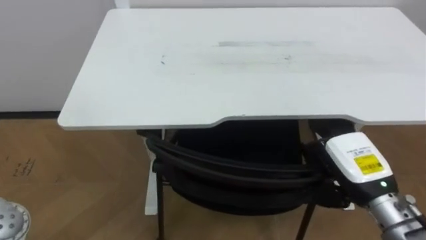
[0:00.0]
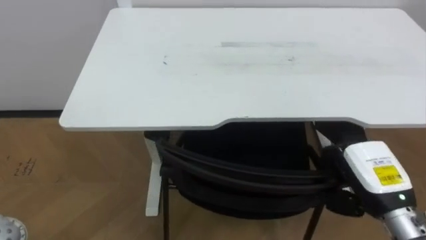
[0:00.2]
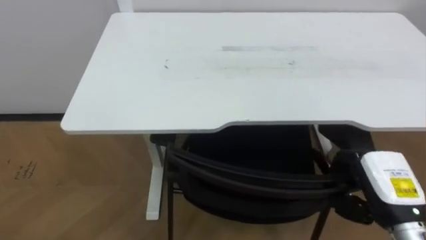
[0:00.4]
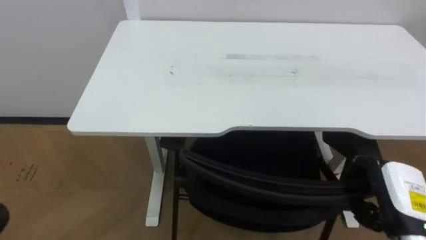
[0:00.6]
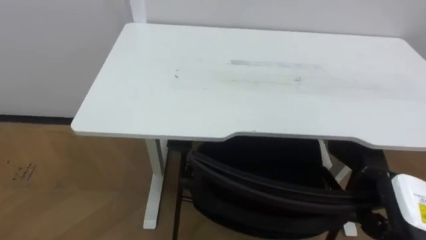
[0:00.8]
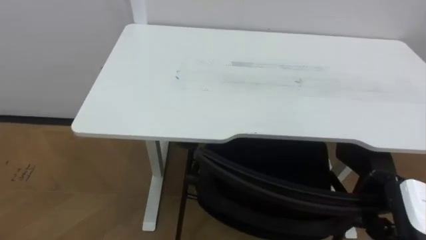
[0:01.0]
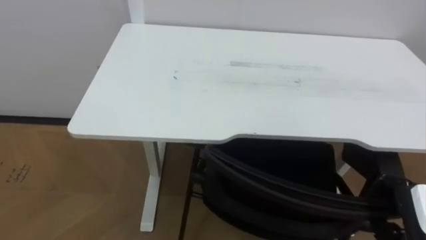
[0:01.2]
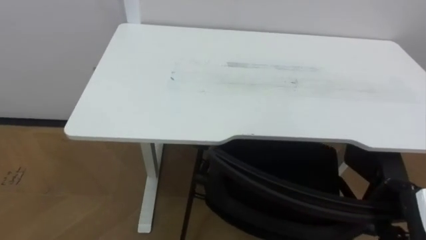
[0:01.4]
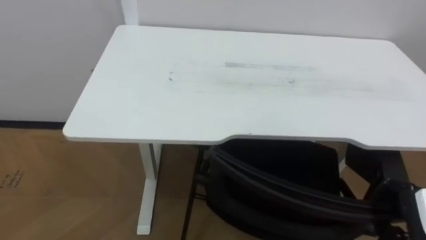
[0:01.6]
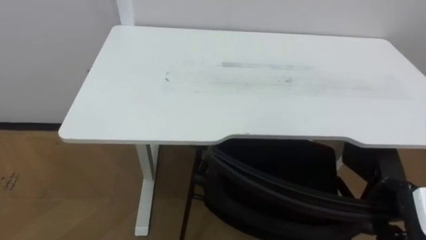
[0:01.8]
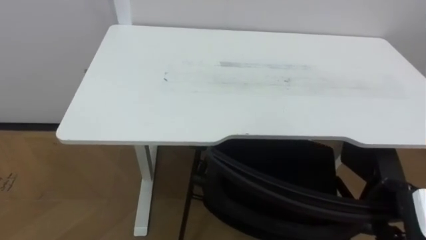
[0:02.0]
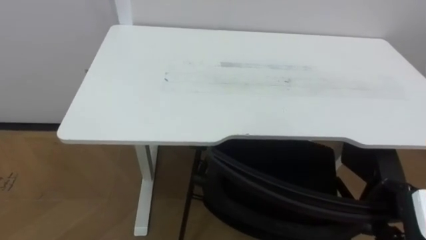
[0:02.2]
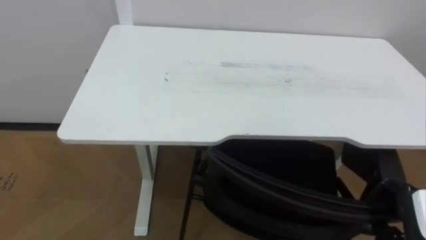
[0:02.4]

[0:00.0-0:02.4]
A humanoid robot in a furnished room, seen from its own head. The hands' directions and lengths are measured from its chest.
Task of the whole recording: Push the chair under the table.
0:00.0 to 0:01.2: The right hand is displaced to the right and backward by approximately 15 cm.

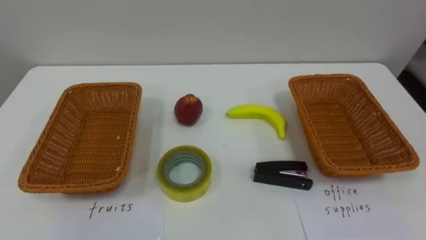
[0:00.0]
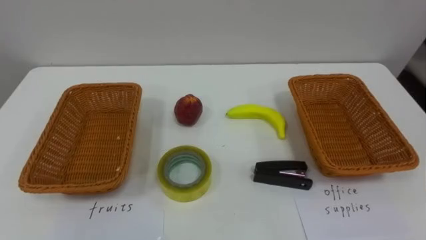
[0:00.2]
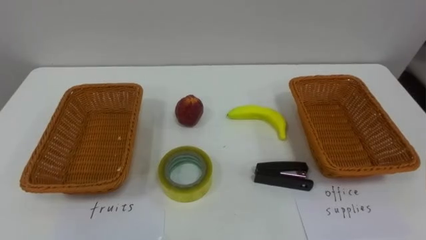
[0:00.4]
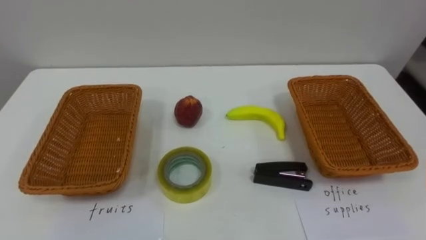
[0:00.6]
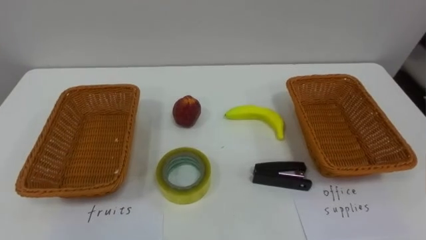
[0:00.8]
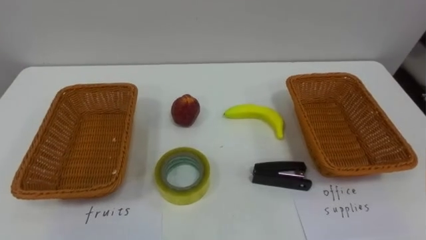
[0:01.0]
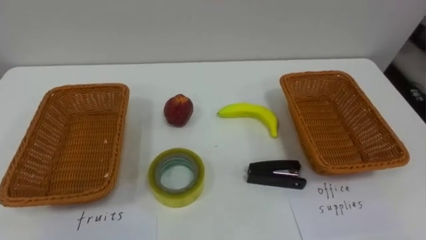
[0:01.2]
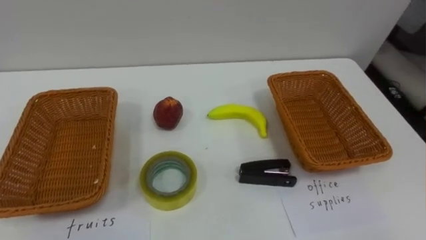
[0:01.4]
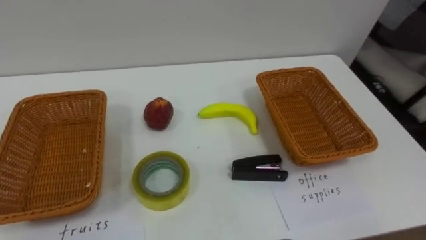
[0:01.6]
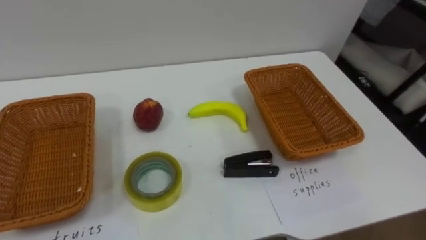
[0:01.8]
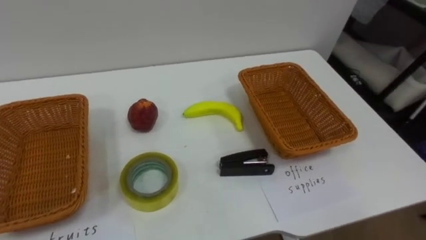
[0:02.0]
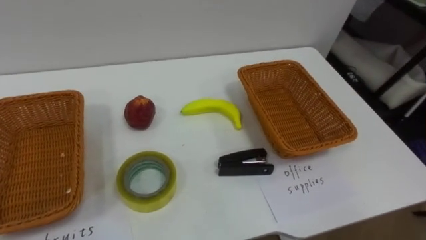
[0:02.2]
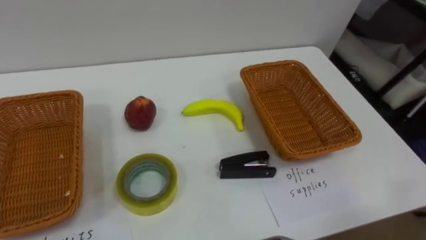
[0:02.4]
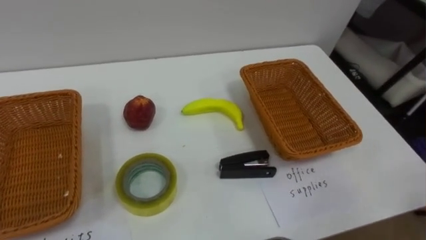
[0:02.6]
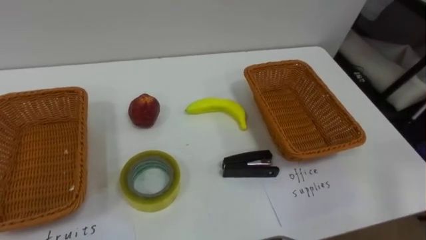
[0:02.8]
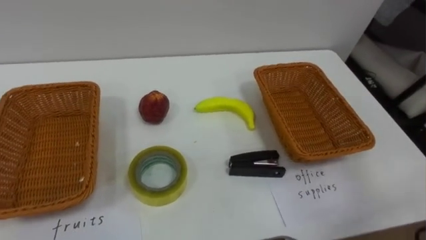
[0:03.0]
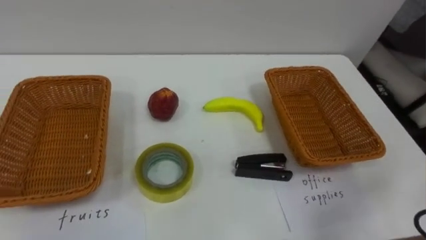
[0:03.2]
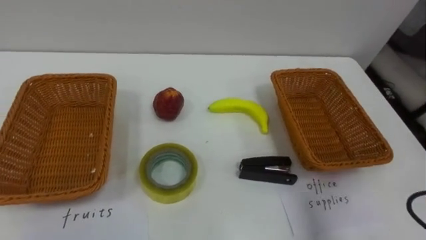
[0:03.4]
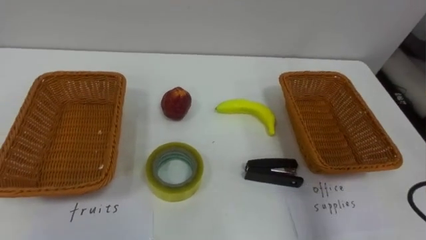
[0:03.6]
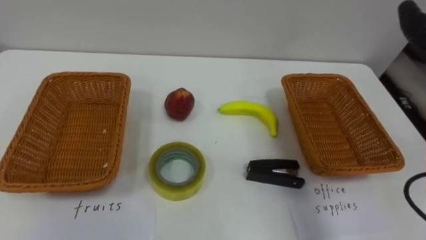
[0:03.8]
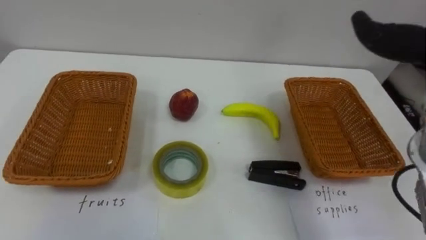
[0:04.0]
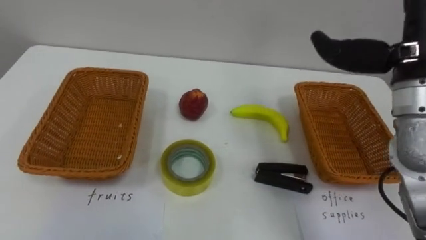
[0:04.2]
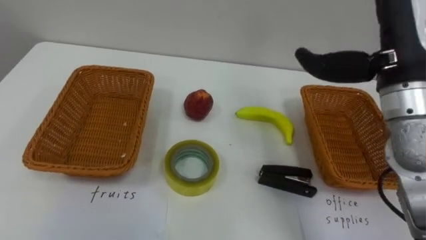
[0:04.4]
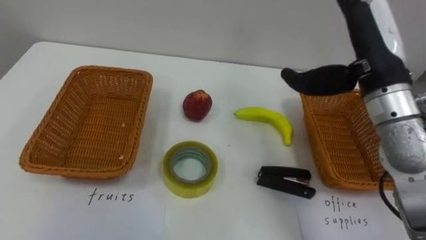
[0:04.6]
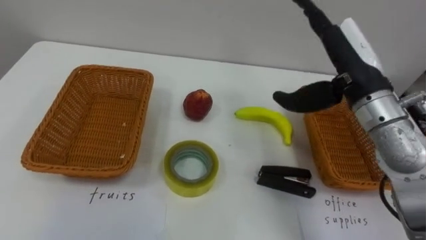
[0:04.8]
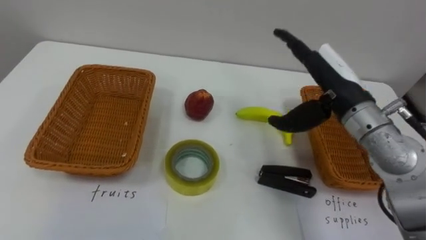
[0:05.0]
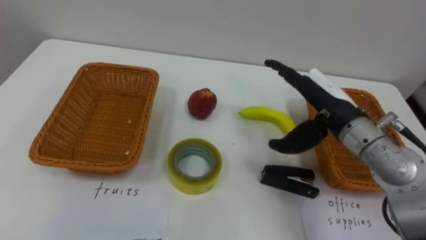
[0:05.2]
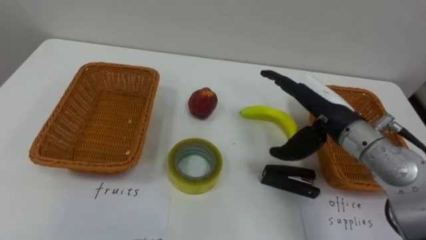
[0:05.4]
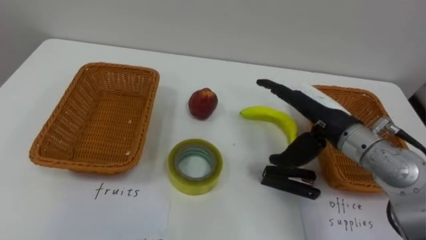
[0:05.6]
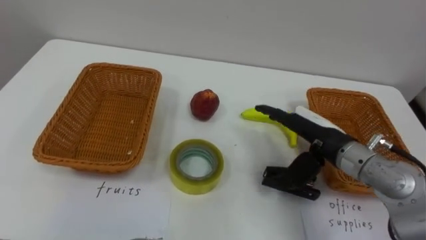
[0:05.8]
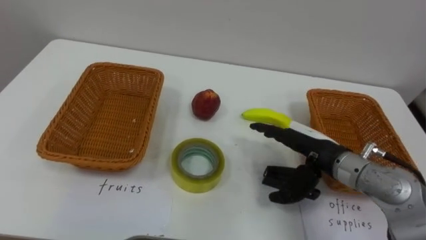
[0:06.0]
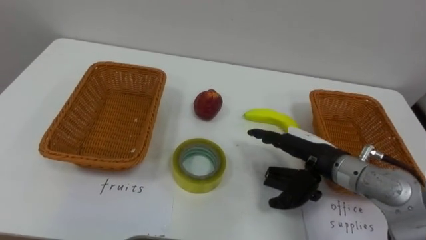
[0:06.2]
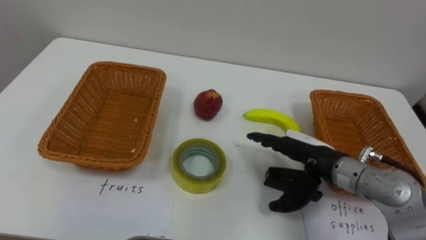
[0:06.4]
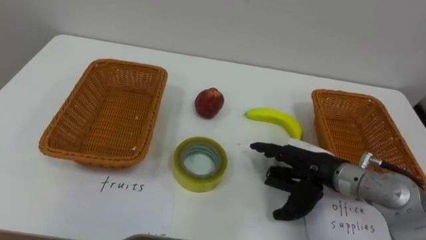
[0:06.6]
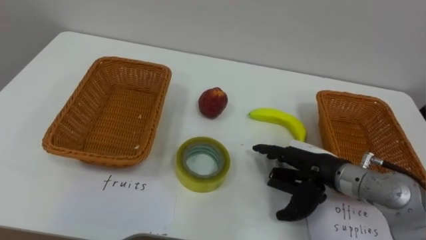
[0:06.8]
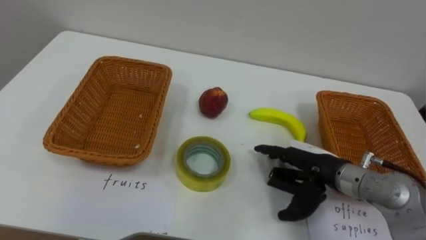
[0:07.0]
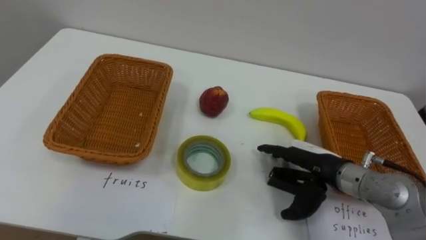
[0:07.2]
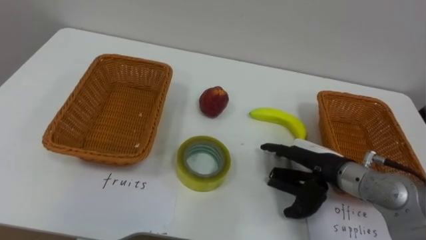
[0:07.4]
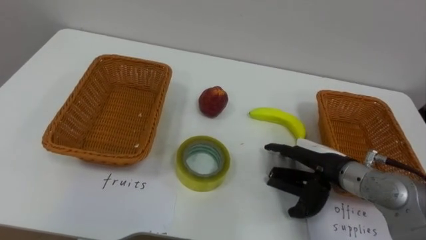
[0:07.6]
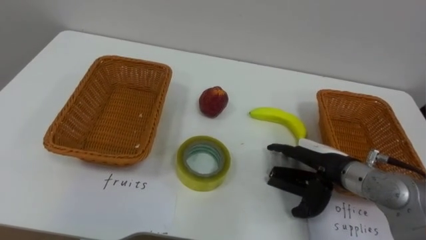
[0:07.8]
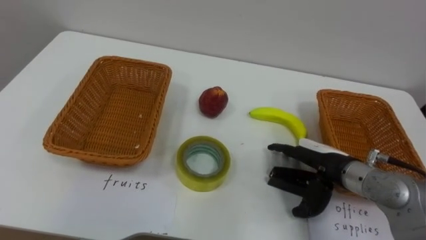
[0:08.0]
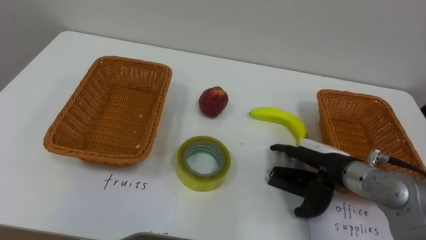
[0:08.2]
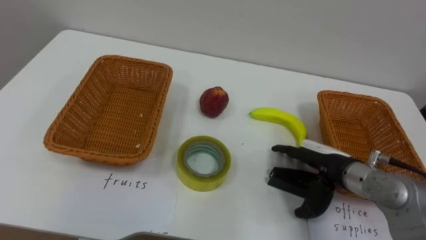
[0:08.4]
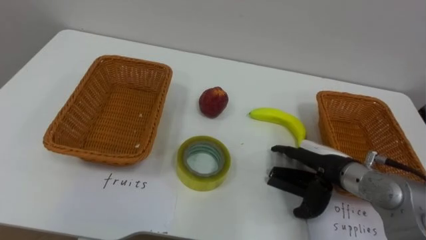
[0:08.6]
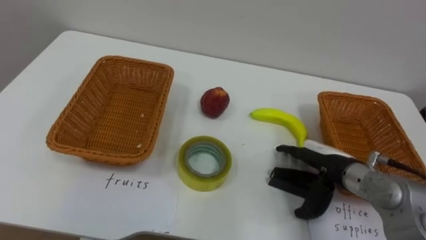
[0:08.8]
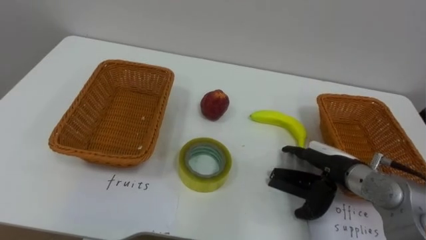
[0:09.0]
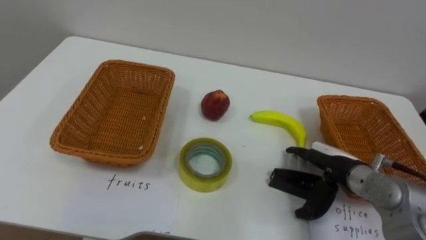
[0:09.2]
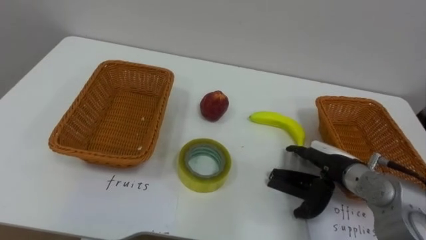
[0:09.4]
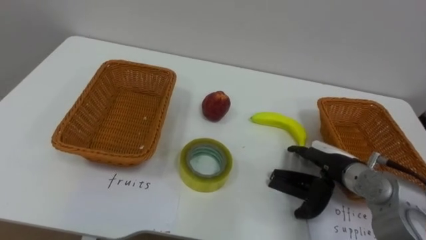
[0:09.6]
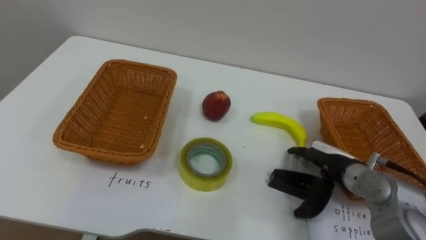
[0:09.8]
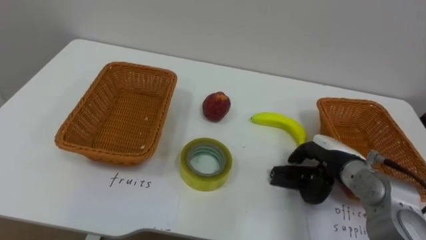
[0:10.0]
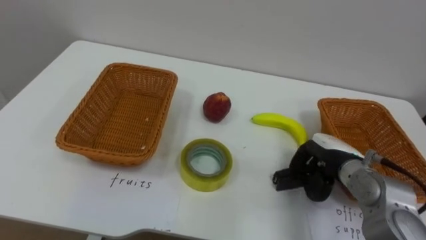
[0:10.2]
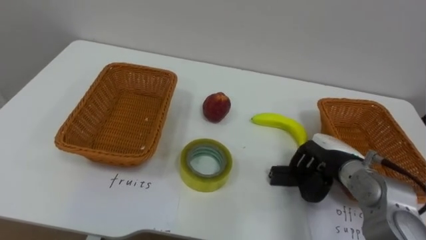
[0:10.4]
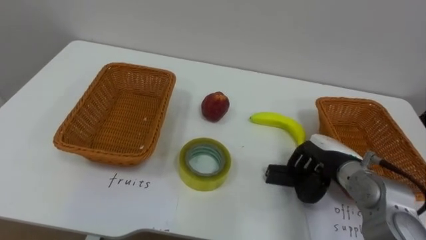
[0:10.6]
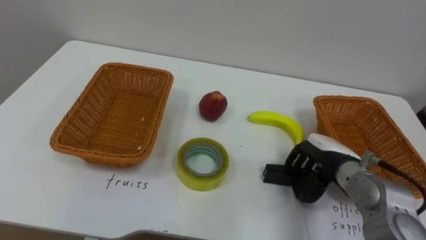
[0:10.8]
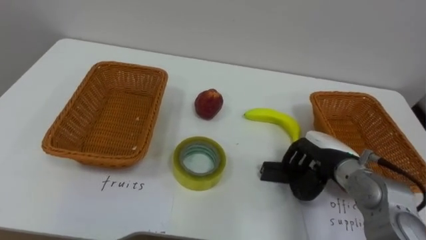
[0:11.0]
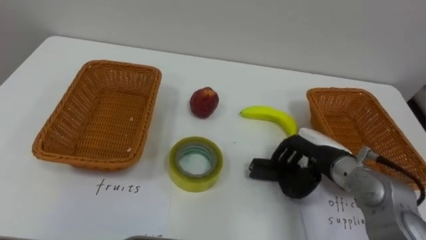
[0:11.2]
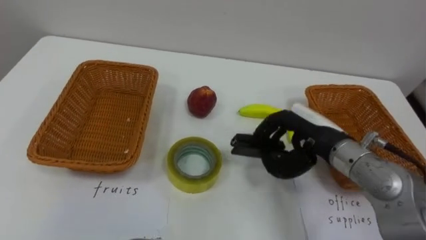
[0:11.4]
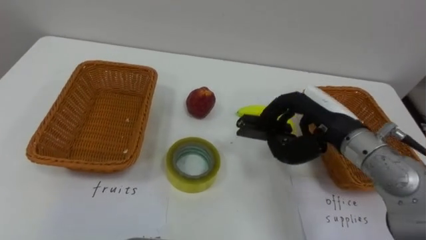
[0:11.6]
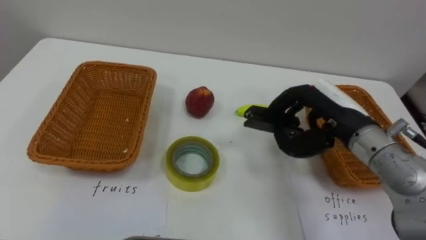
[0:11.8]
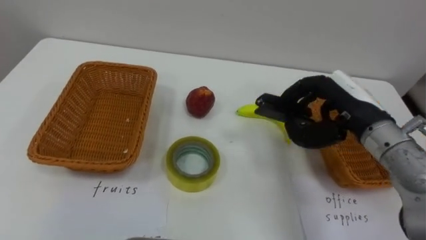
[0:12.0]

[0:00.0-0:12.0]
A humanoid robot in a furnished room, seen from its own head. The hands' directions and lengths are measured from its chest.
Task of the whole recording: Separate the items on the table and place them into the two baskets.
0:04.4 to 0:06.0: The right hand is displaced downward by roughly 20 cm.
0:09.0 to 0:10.4: The right hand closes up.
0:10.4 to 0:12.0: The right hand is displaced upward by about 15 cm.

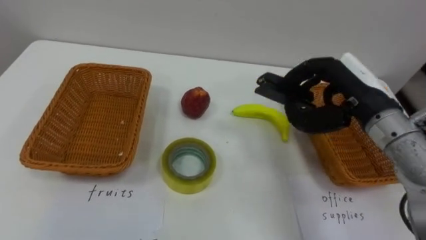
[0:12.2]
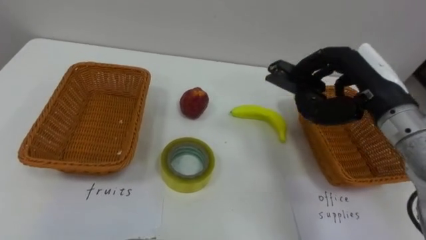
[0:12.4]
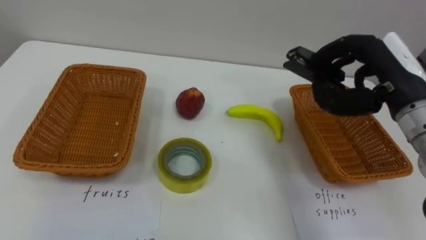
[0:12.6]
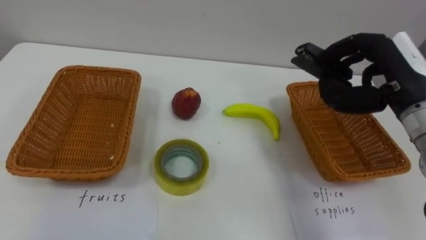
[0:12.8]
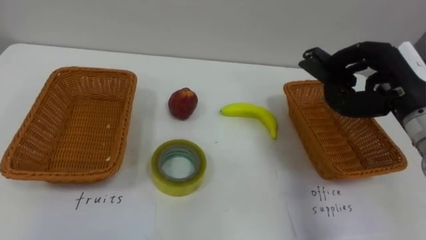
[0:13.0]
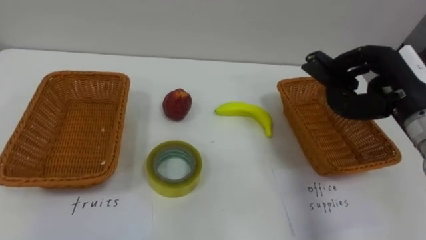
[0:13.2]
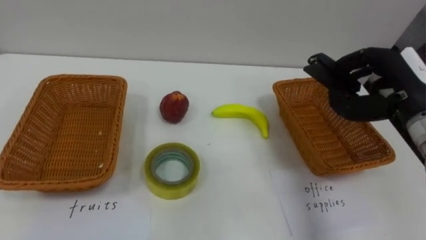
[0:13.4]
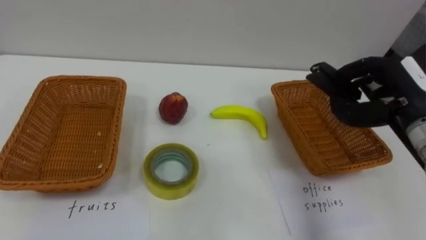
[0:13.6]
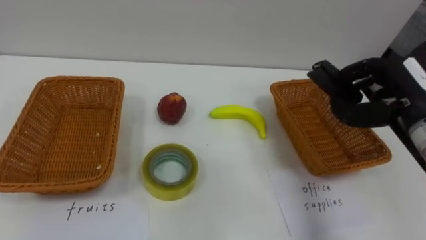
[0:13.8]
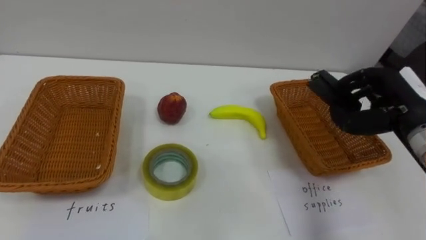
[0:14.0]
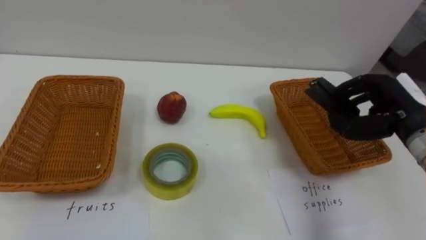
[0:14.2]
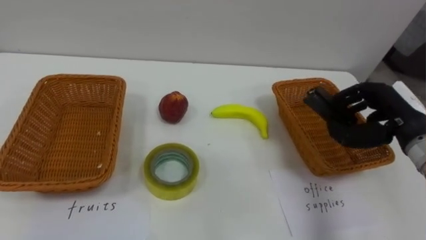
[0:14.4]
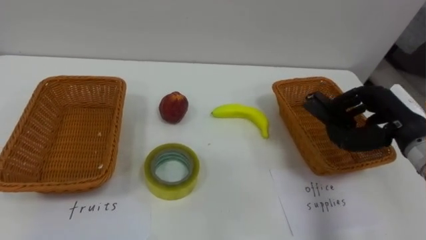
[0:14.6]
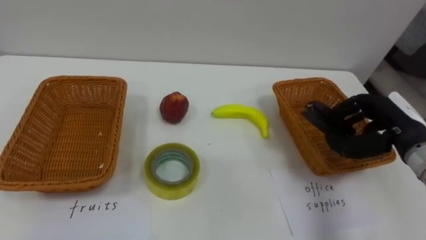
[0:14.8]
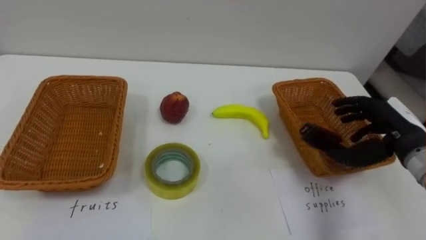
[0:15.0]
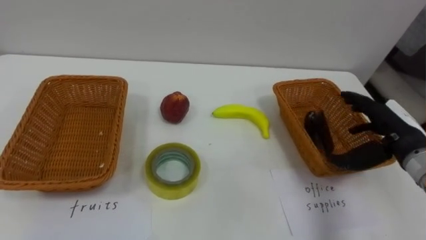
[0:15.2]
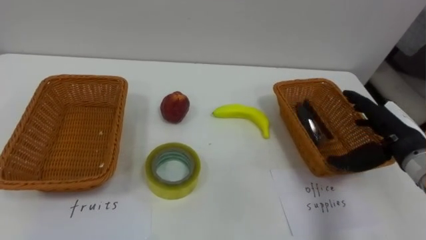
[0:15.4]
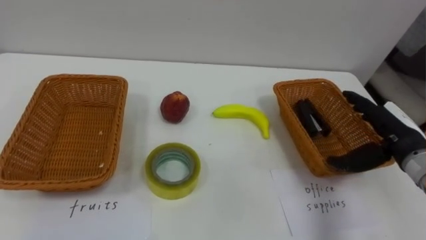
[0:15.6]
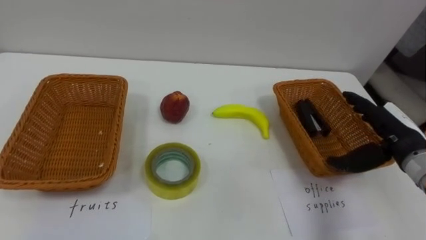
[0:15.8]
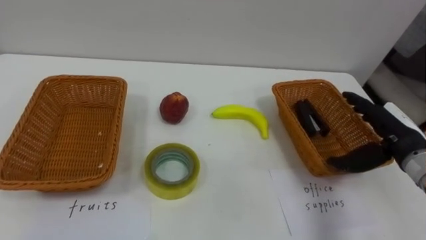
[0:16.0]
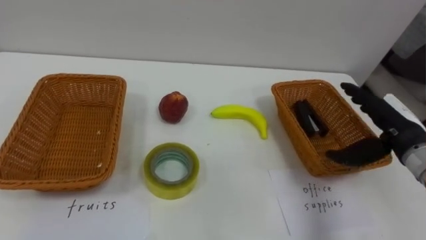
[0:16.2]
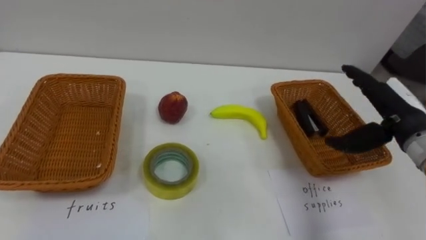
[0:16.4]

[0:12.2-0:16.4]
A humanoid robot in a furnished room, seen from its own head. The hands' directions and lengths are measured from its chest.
Task of the whole recording: Separate the items on the table and place them into the two baskets.
0:12.2 to 0:13.6: The right hand travels to the right by some 10 cm.
0:13.6 to 0:15.0: The right hand travels downward by about 5 cm.
